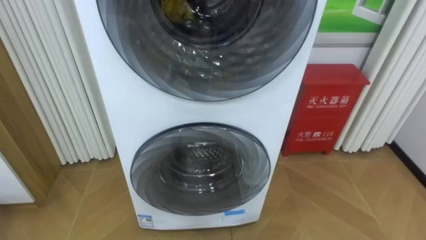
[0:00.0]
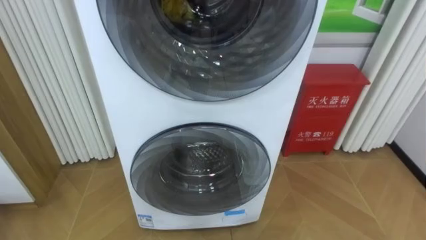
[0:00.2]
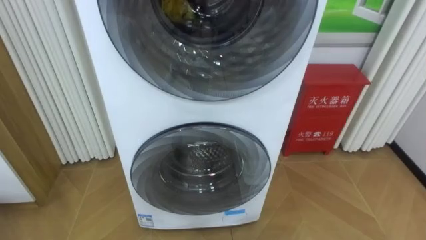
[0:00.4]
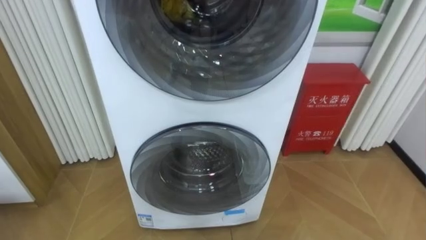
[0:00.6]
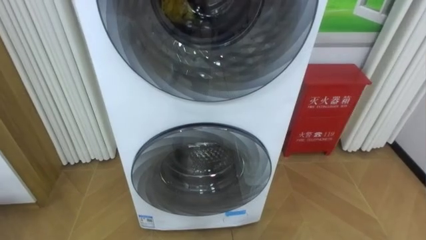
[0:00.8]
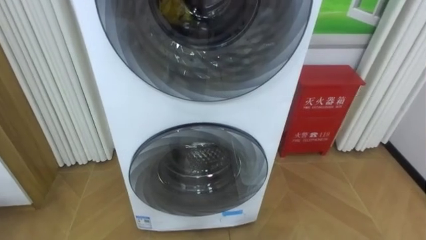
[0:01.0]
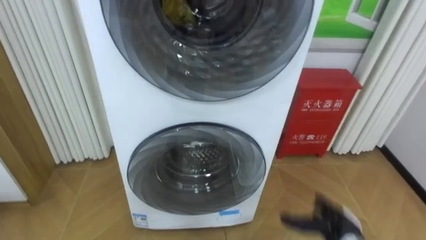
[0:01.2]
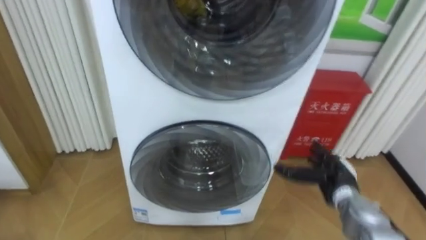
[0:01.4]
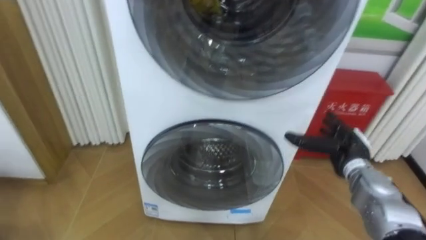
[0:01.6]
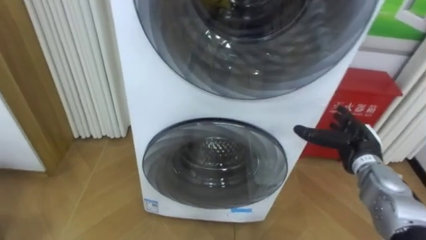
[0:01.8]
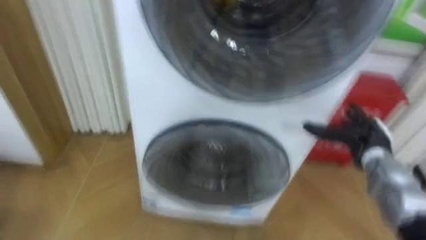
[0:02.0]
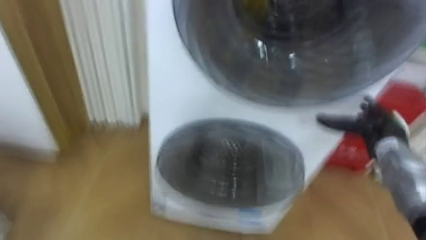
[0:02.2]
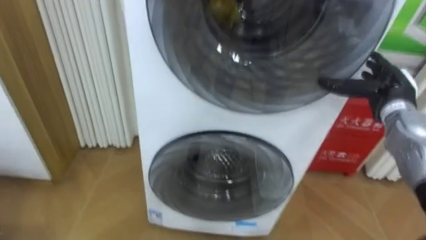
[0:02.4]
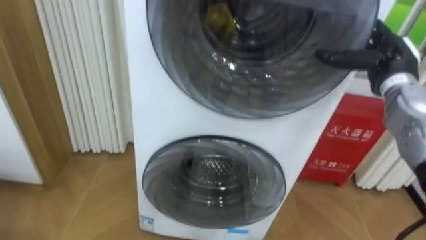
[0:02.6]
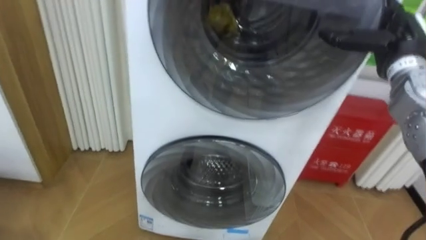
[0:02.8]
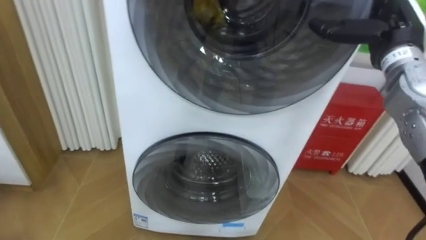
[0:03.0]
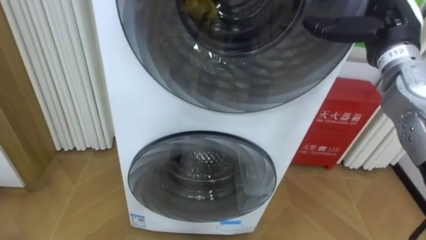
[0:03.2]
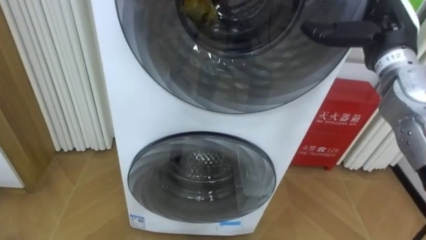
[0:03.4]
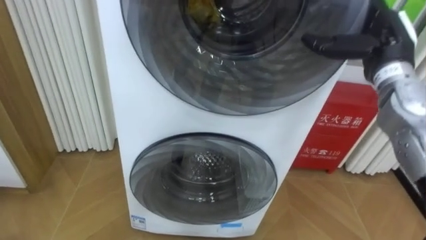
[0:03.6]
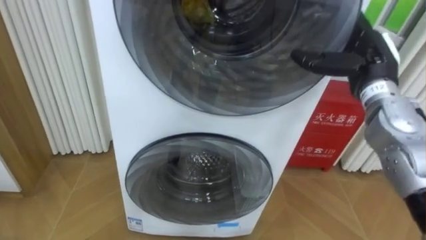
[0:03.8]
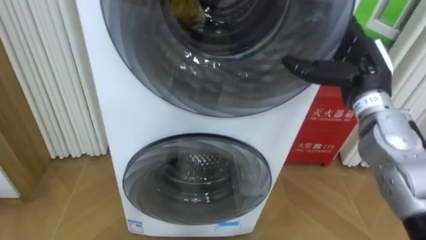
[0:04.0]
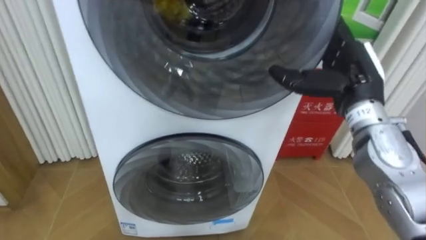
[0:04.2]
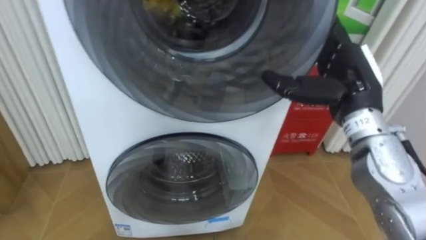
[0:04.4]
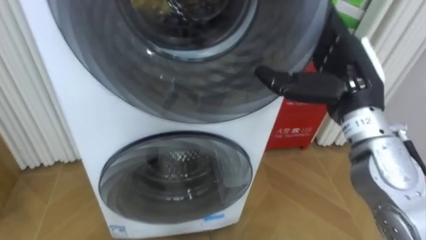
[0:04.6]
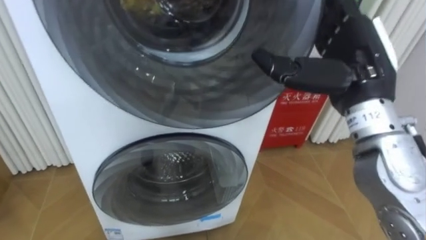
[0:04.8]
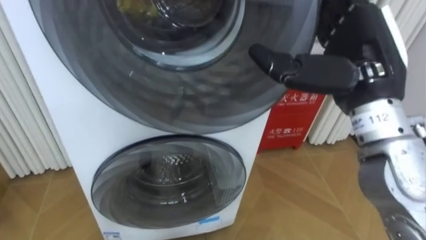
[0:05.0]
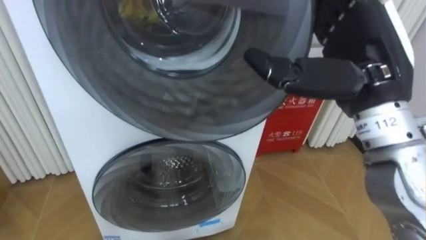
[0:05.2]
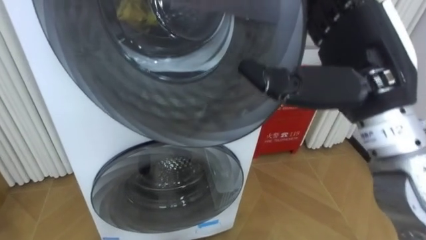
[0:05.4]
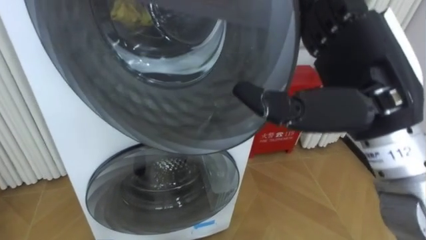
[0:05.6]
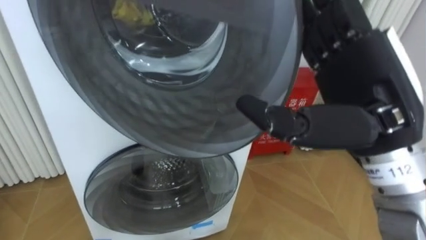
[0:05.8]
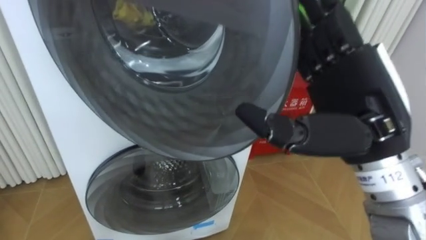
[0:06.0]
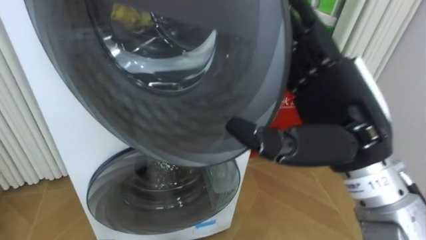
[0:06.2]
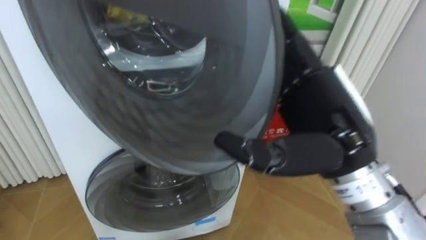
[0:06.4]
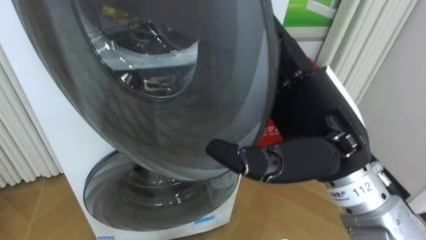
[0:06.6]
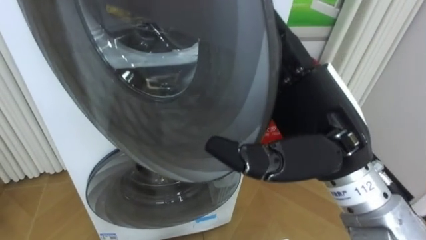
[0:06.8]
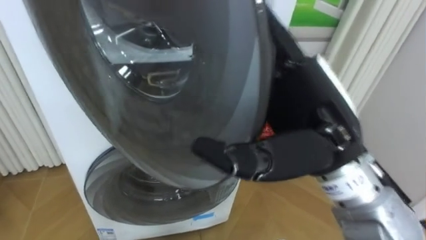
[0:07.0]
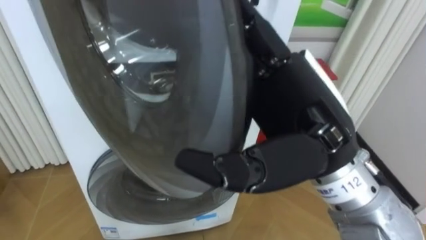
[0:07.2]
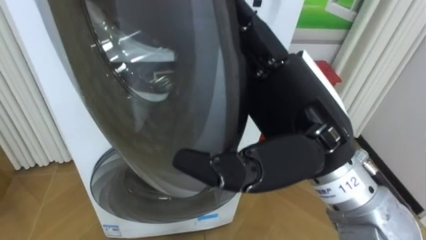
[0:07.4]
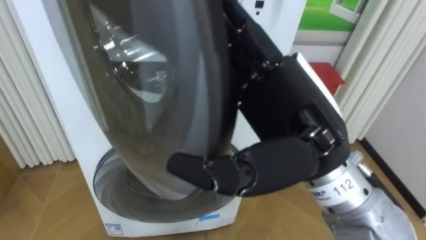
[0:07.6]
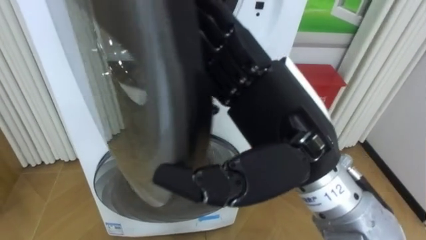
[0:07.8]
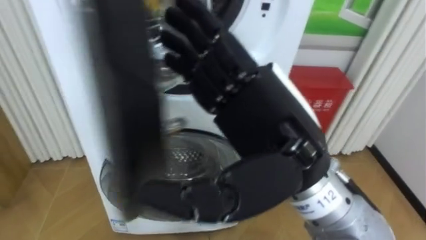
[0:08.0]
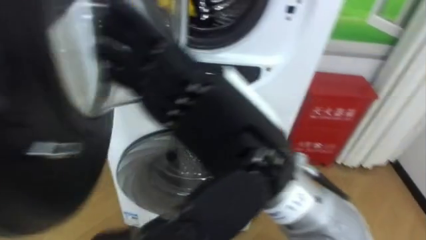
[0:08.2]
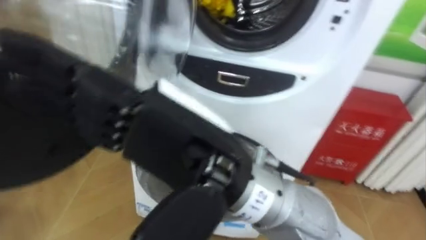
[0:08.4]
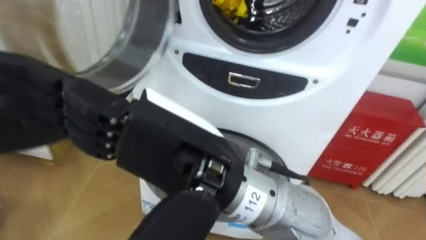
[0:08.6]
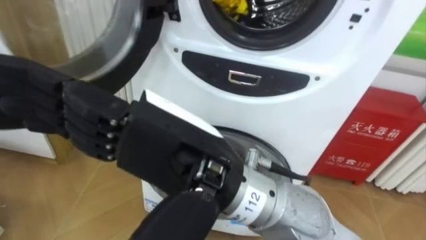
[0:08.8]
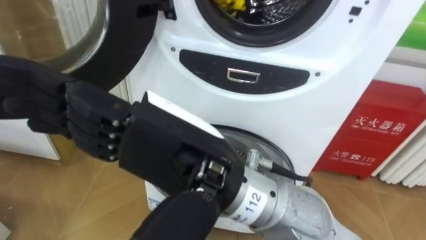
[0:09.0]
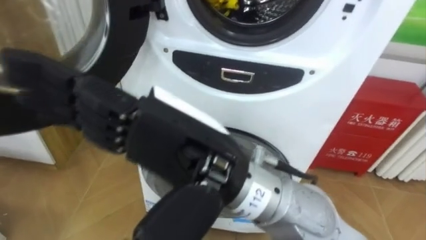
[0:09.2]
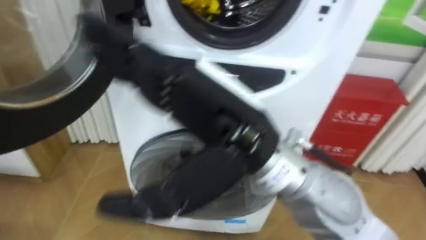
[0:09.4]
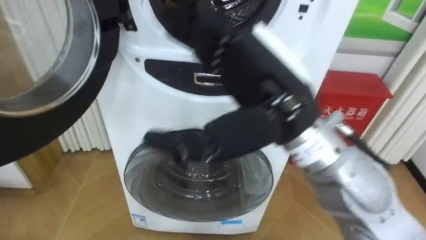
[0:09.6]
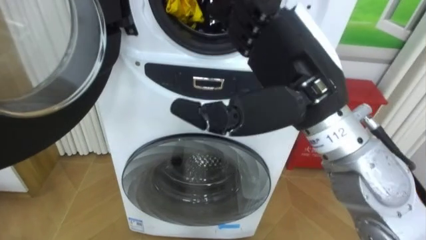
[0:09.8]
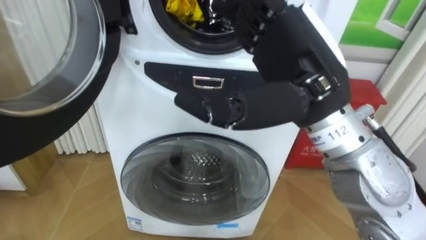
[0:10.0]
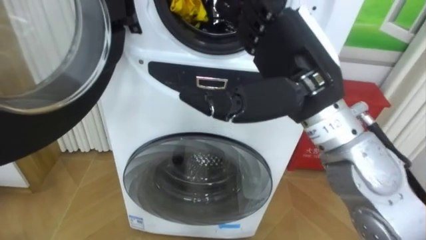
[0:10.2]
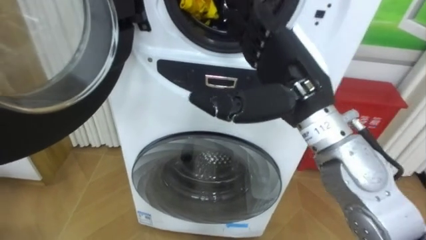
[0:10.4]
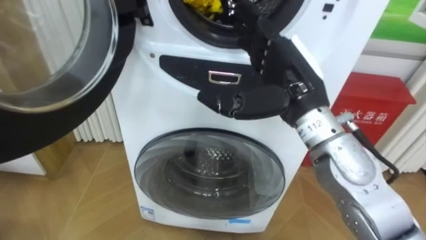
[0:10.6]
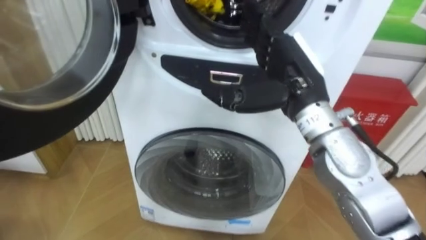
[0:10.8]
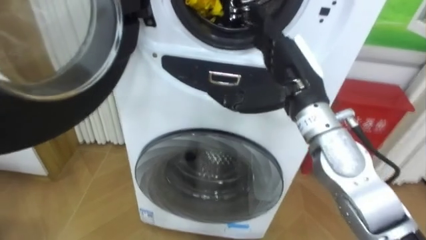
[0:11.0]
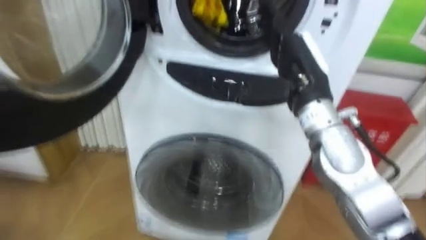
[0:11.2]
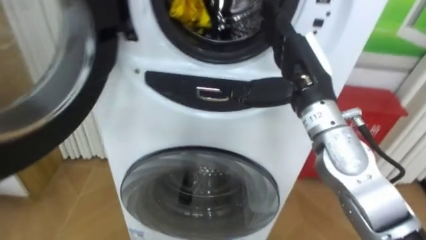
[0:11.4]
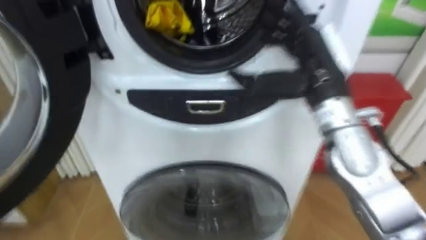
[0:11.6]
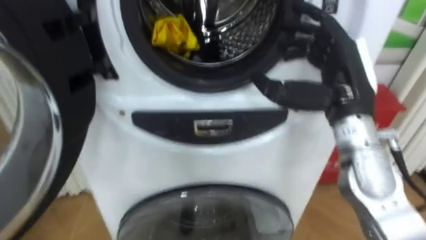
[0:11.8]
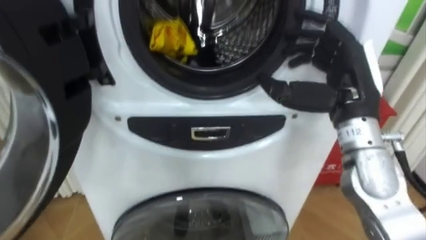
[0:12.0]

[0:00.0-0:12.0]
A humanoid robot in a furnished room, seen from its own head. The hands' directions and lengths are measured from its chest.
Task of the whole recording: Open the washing machine door, take out the yellow clothes, place them in the box on the right, and close the washing machine door.
0:01.6 to 0:03.0: The right hand shifts some 25 cm upward.
0:03.0 to 0:04.4: The right hand moves backward and to the left, approximately 10 cm.
0:04.4 to 0:06.0: The right hand goes approximately 10 cm backward.
0:06.0 to 0:07.6: The right hand travels to the left by roughly 5 cm.
0:07.6 to 0:09.0: The right hand is displaced to the left by some 10 cm.
0:09.0 to 0:10.4: The right hand travels to the right and forward by about 20 cm.
0:10.4 to 0:12.0: The right hand heads to the right, covering some 10 cm.

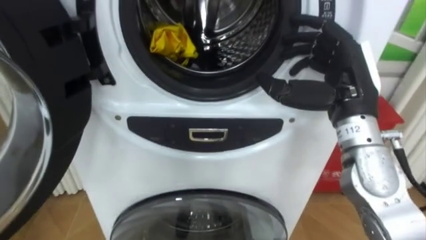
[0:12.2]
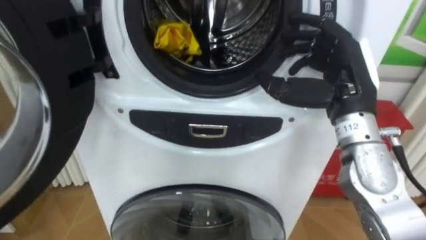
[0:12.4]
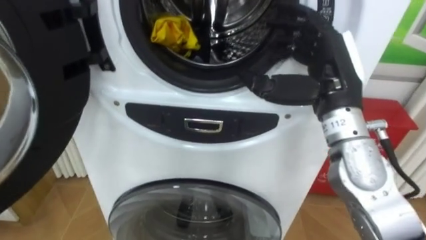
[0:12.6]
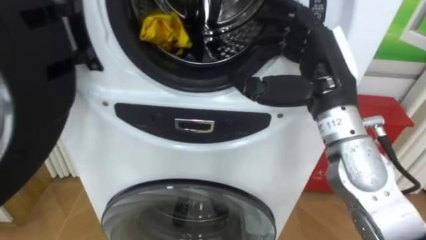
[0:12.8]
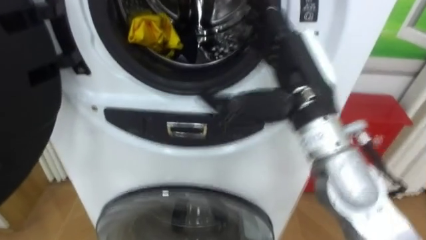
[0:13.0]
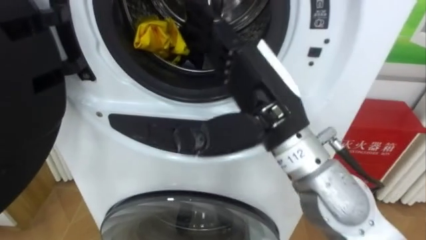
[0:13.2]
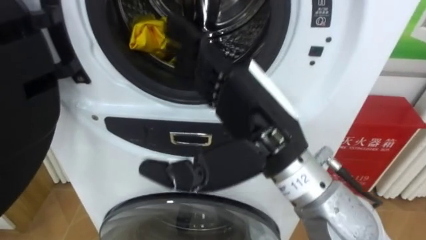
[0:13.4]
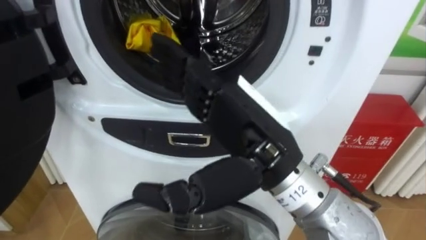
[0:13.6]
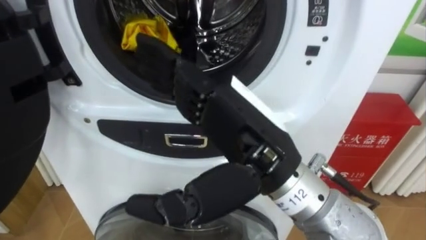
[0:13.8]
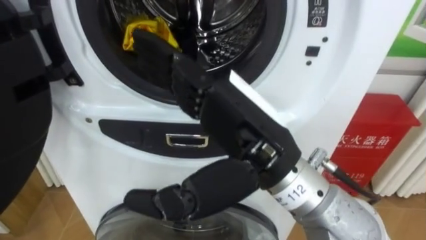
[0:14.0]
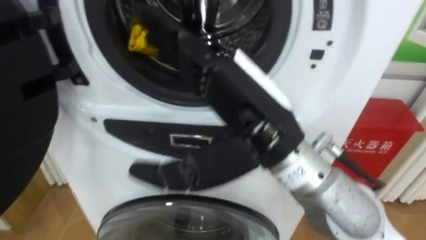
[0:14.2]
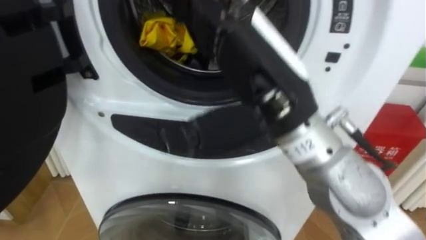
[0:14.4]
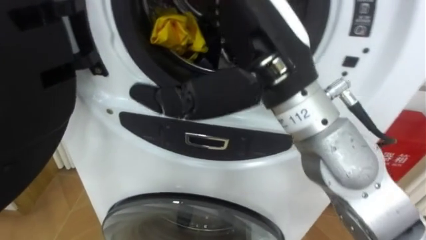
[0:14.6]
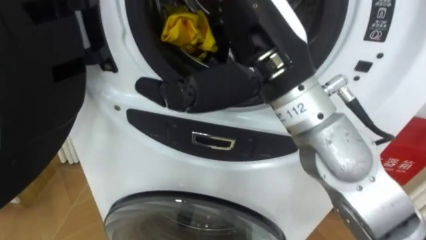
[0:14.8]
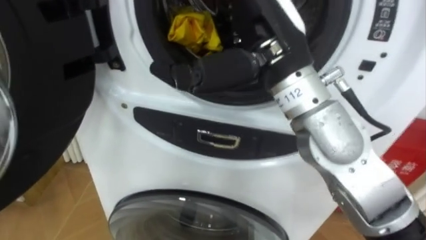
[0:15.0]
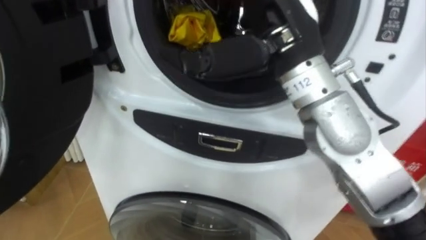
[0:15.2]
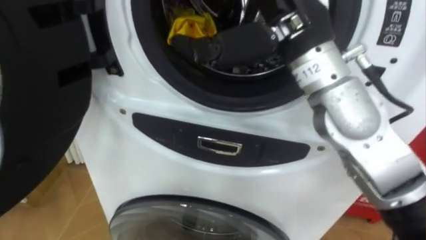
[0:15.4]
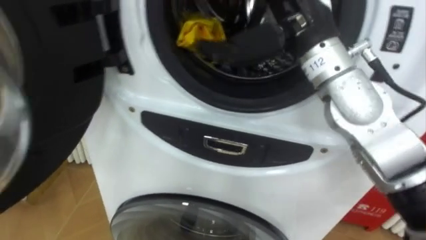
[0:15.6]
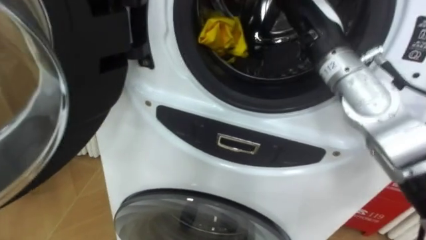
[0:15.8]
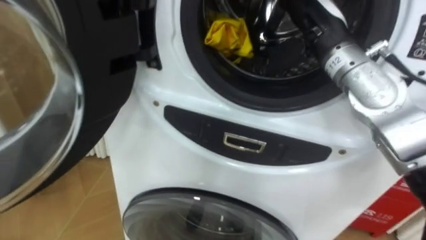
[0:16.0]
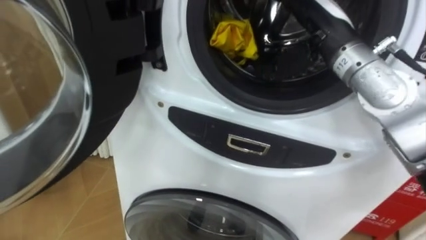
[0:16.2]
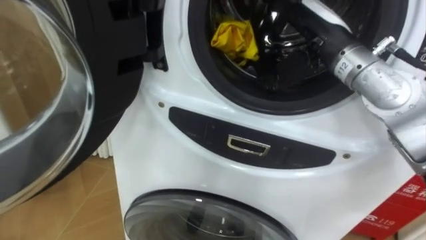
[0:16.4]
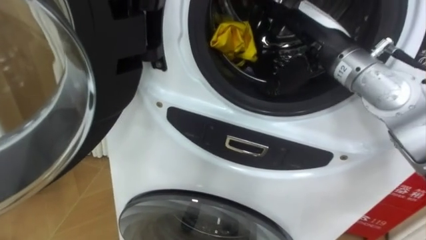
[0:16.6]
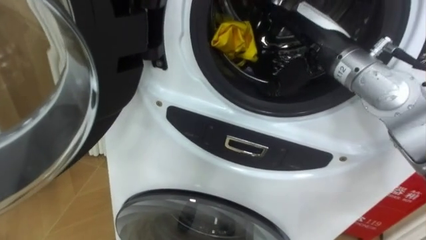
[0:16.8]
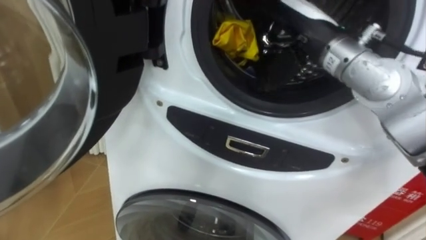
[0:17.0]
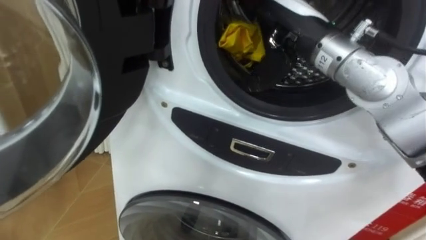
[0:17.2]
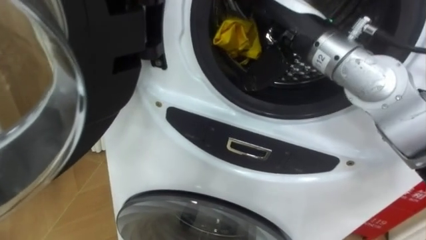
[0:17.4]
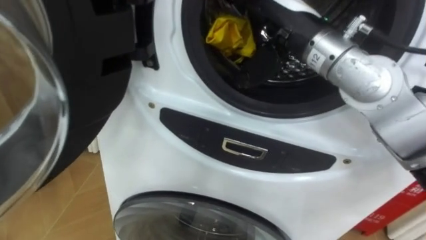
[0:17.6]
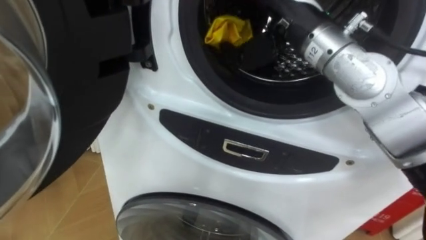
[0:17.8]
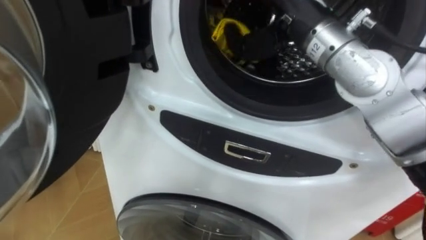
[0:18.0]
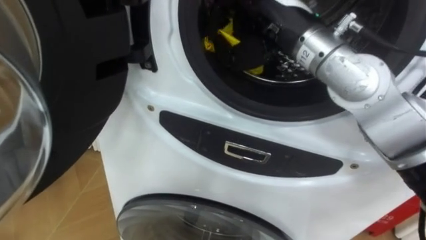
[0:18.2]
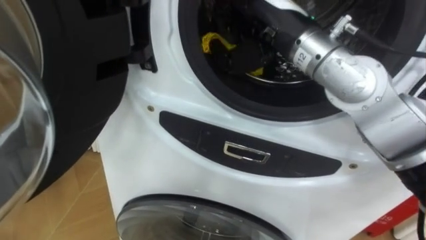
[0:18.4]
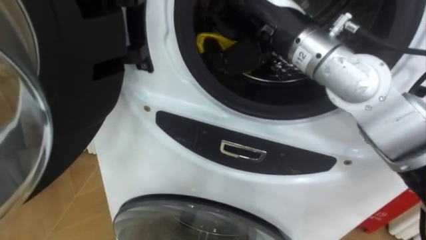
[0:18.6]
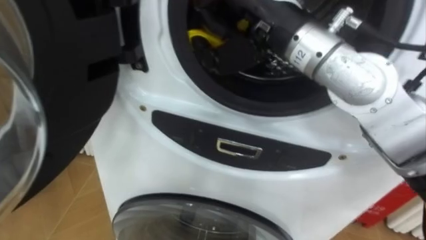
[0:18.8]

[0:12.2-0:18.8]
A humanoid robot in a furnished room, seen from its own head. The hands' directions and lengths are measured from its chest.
Task of the whole recording: Open the washing machine door, take out the yellow clothes, place them in the box on the right, and close the washing machine door.
0:12.2 to 0:13.8: The right hand travels to the left and backward by approximately 20 cm.
0:13.8 to 0:15.4: The right hand heads forward and upward, covering about 15 cm.
0:15.4 to 0:17.2: The right hand is displaced forward by roughly 5 cm.
0:17.2 to 0:18.8: The right hand moves to the left, roughly 5 cm, and closes its fingers.
